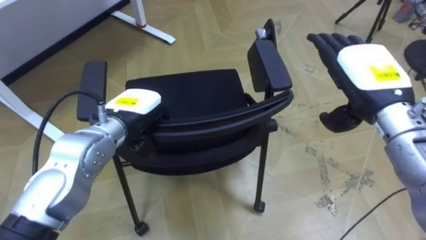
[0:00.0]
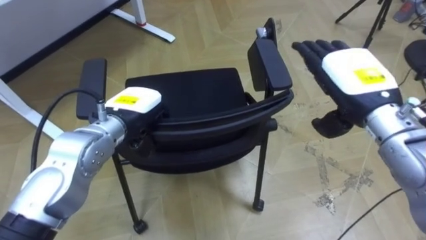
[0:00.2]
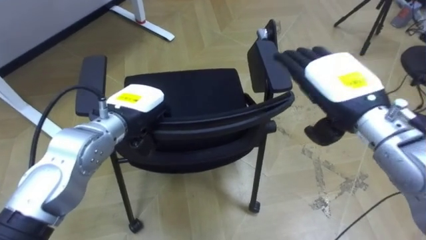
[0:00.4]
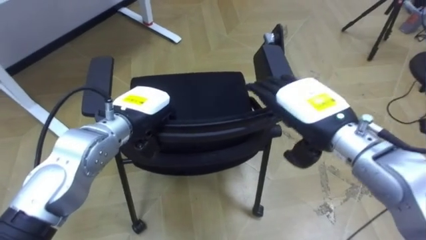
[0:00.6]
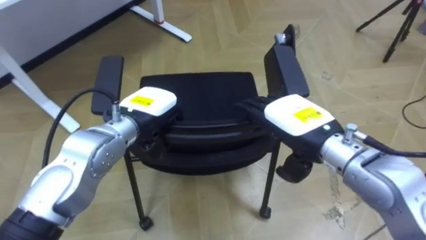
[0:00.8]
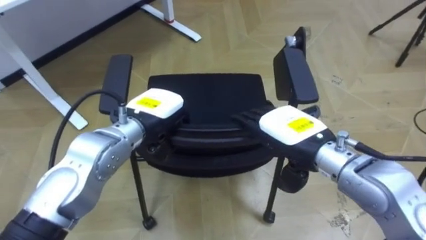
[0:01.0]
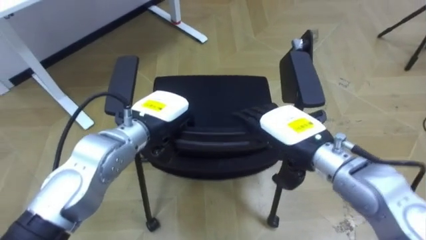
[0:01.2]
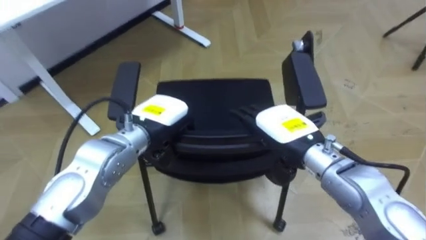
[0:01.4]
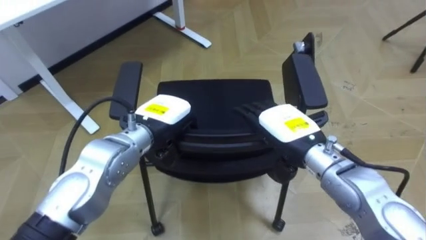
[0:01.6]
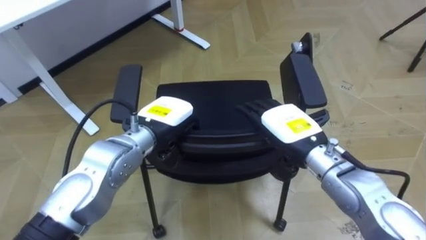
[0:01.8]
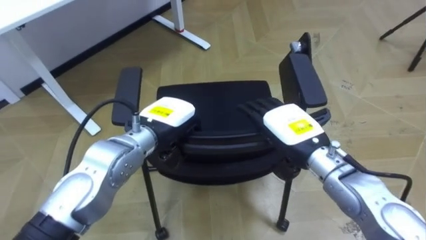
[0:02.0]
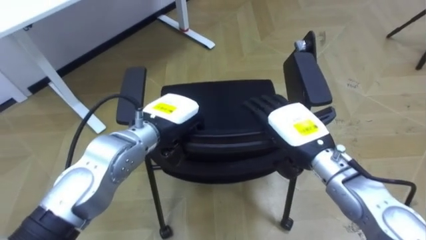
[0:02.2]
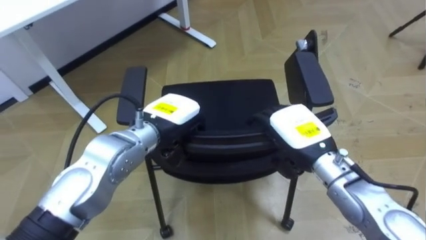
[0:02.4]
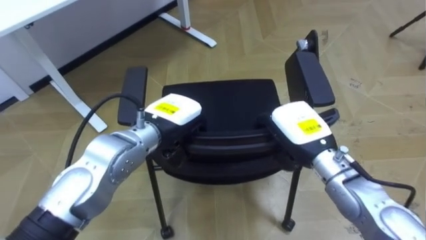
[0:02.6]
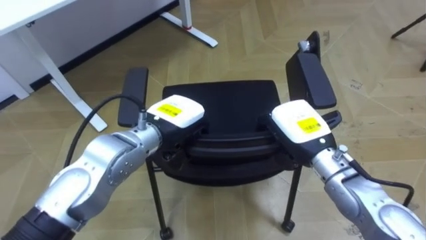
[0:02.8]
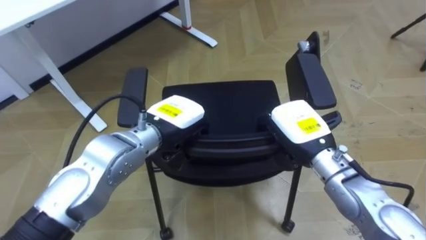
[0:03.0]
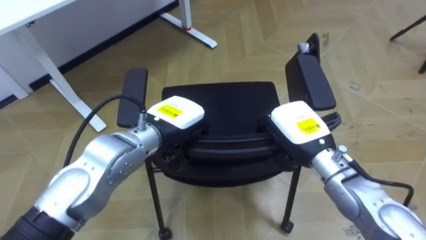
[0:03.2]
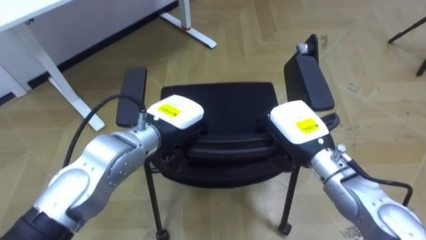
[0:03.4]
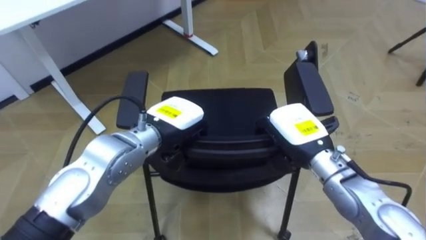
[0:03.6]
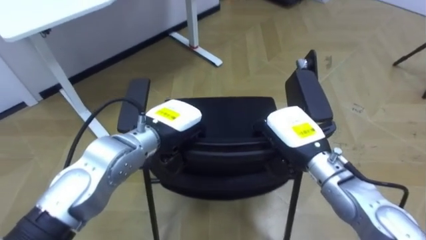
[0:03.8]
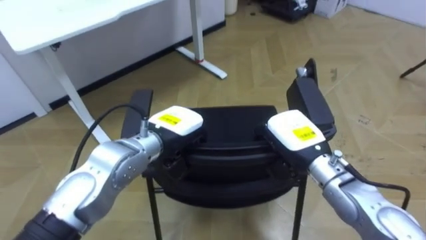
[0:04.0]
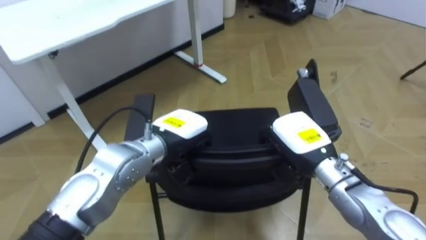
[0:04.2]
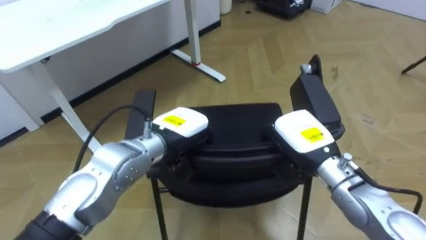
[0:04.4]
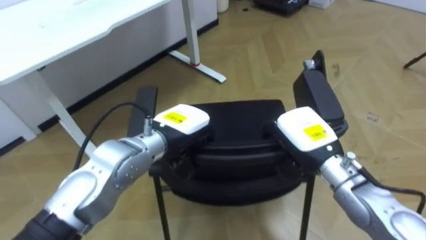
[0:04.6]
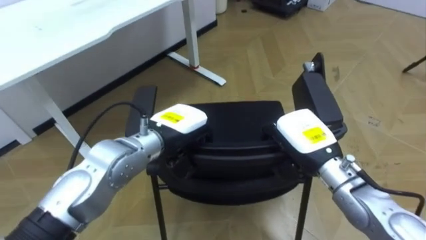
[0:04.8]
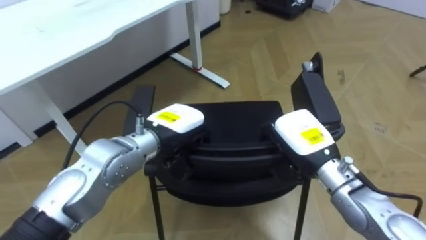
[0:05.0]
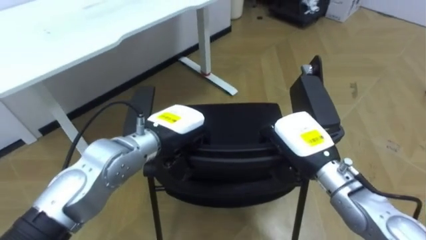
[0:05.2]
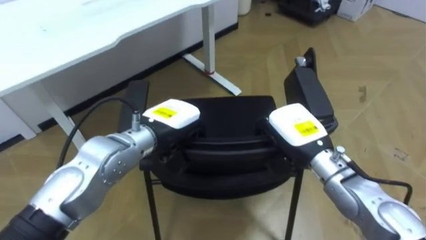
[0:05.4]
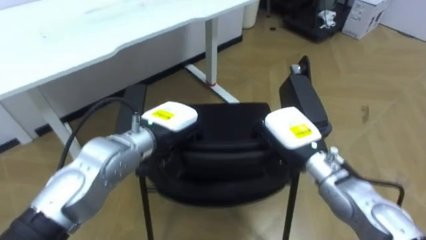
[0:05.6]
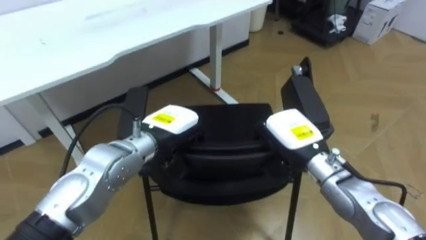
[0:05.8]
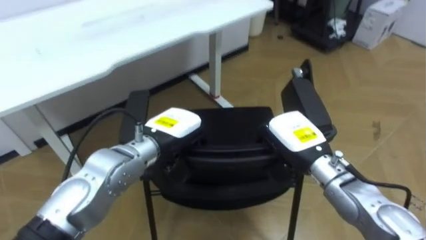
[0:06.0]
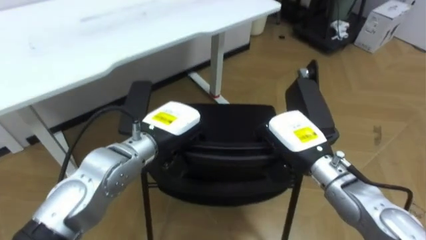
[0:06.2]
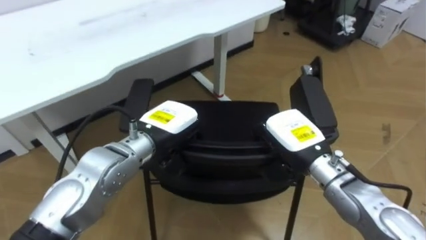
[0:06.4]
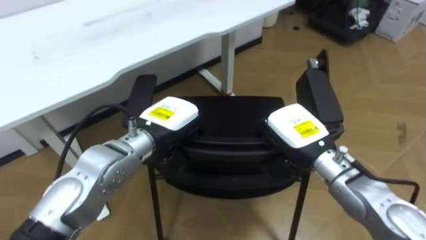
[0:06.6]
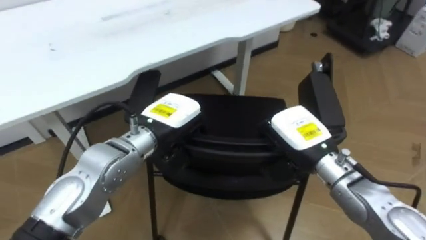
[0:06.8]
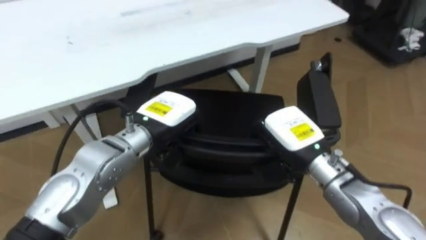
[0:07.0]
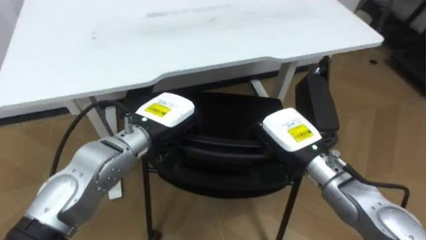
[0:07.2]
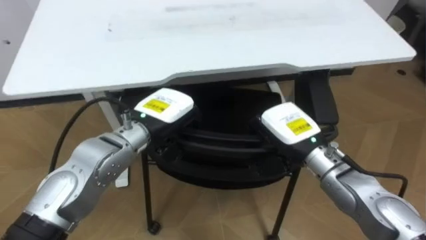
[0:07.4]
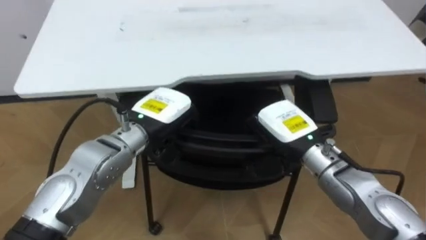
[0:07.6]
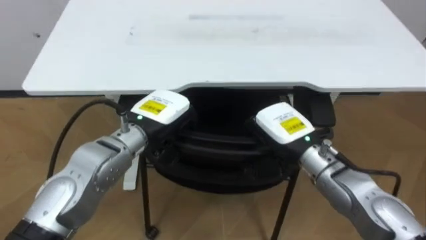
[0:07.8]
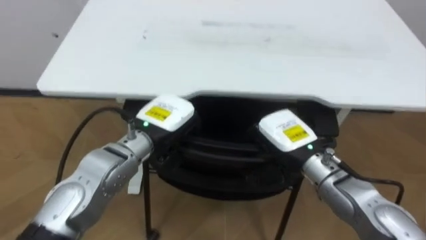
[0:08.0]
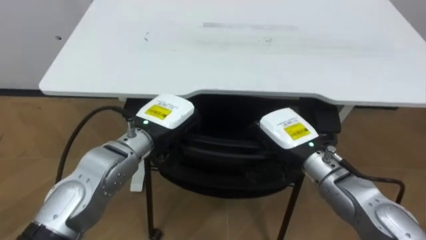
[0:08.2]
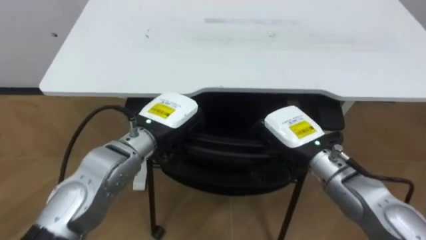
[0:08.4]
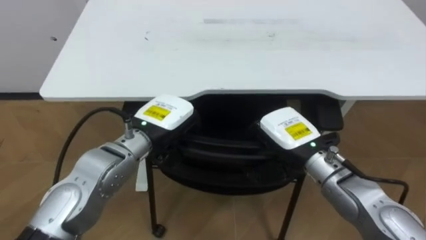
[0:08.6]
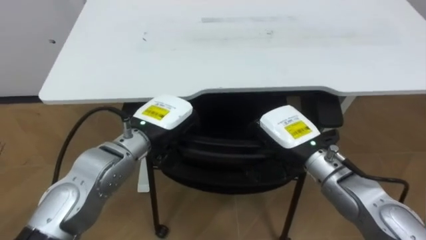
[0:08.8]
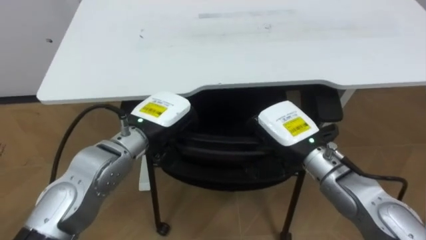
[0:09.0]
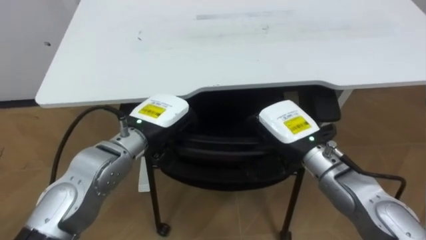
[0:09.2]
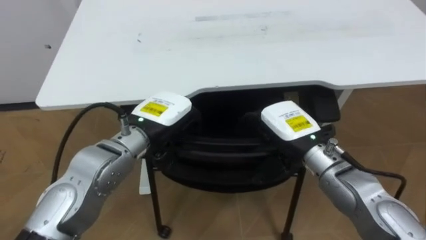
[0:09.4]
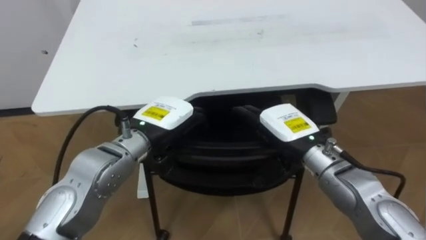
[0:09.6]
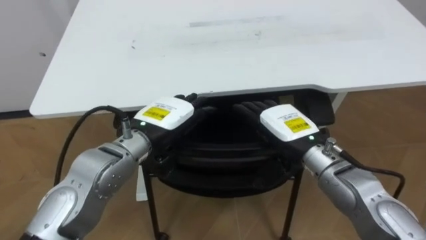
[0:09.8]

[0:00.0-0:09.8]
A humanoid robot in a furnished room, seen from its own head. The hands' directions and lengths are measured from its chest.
Task of the whole recording: Push the chair under the table.
0:00.0 to 0:01.4: The right hand moves to the left and downward, some 15 cm.
0:01.4 to 0:02.8: The right hand closes its fingers.
0:07.0 to 0:08.4: The robot's body swings approximately 25 degrees to its left.
0:08.4 to 0:09.8: The right hand opens up. The left hand opens.

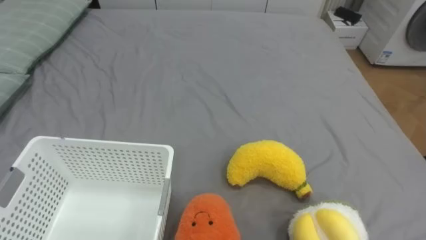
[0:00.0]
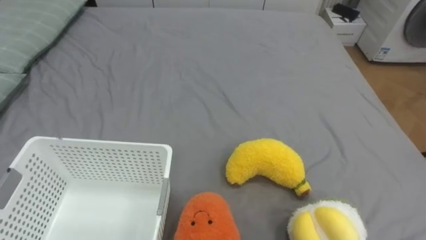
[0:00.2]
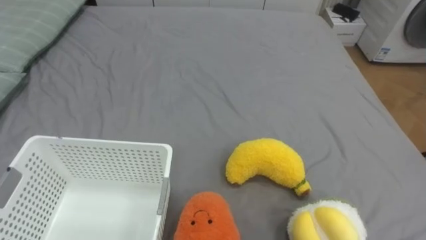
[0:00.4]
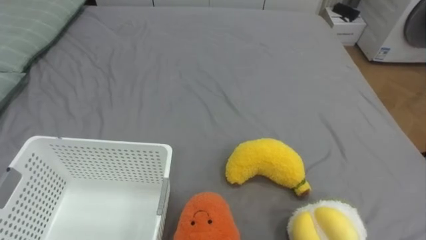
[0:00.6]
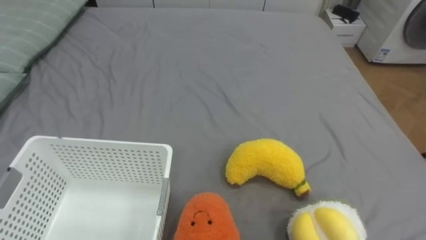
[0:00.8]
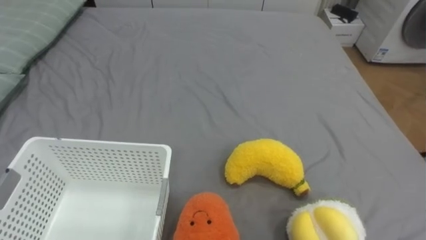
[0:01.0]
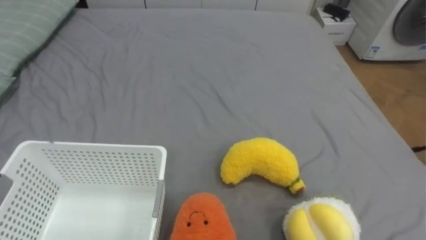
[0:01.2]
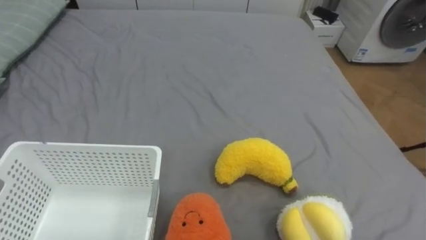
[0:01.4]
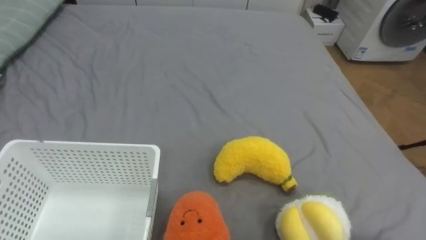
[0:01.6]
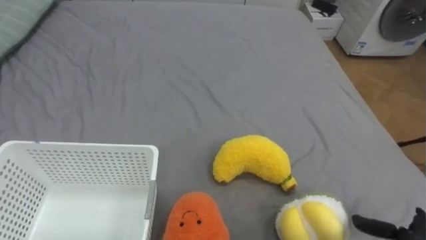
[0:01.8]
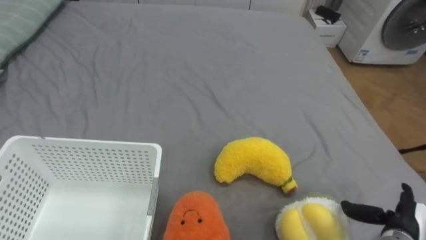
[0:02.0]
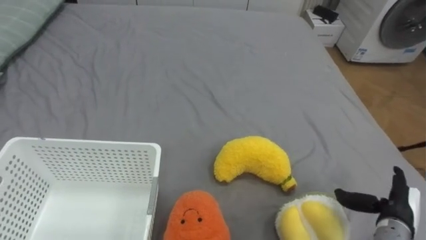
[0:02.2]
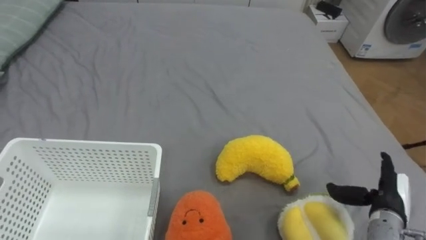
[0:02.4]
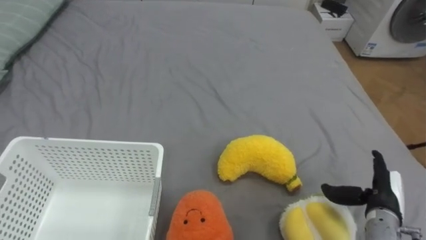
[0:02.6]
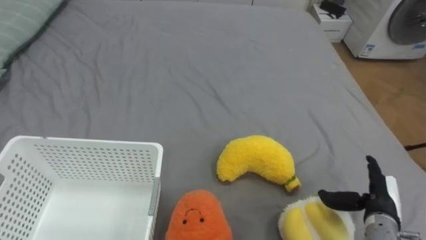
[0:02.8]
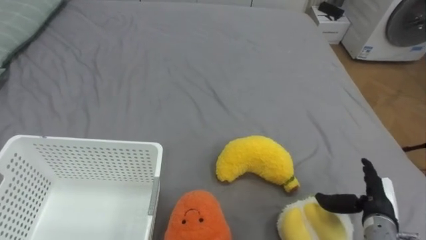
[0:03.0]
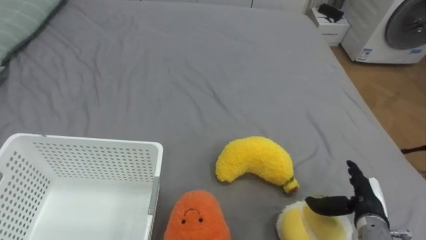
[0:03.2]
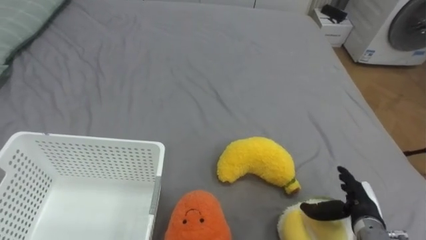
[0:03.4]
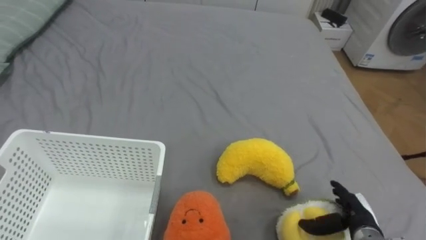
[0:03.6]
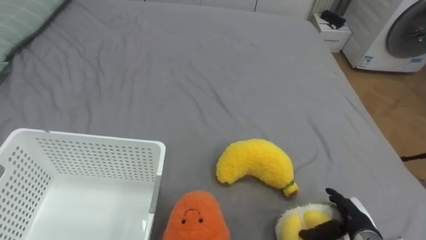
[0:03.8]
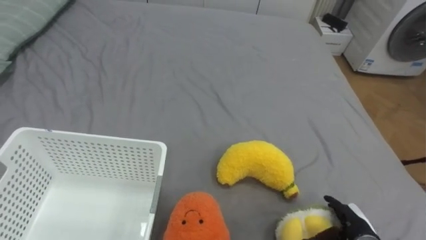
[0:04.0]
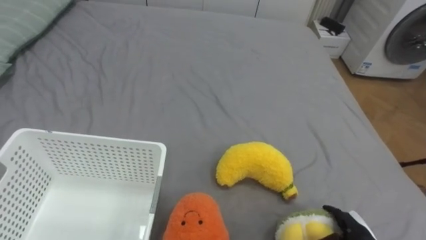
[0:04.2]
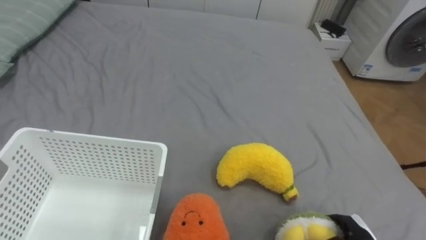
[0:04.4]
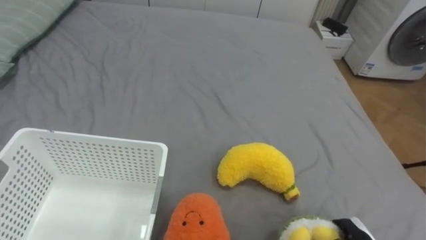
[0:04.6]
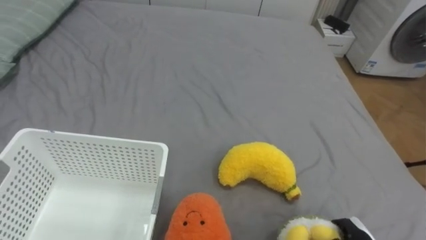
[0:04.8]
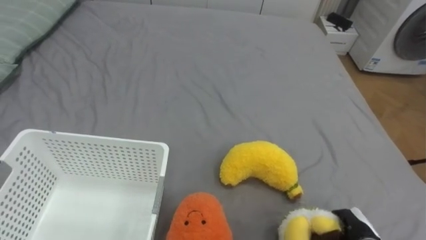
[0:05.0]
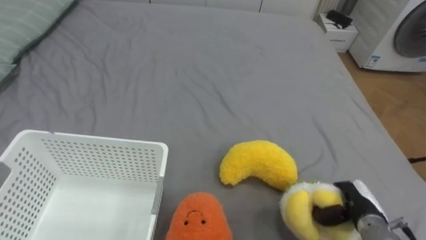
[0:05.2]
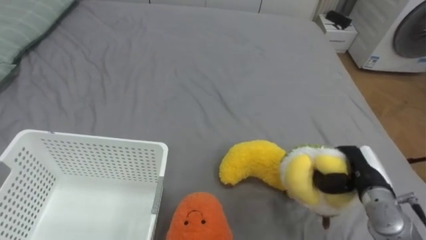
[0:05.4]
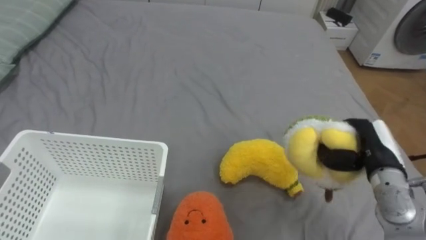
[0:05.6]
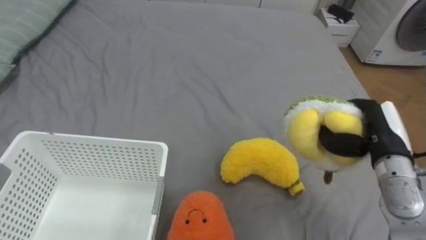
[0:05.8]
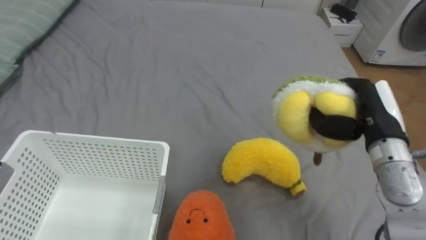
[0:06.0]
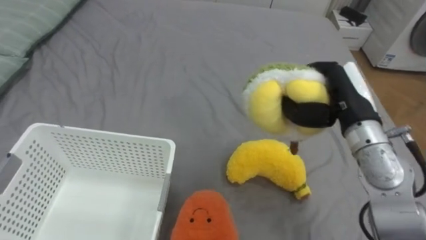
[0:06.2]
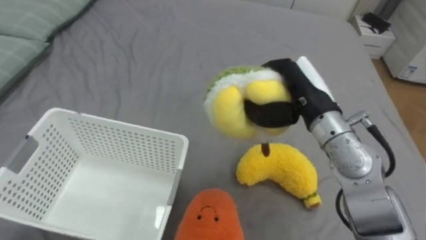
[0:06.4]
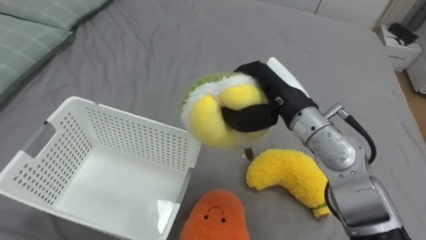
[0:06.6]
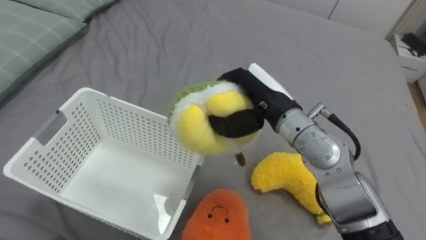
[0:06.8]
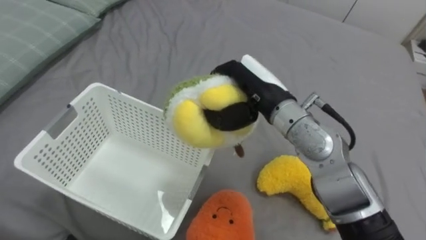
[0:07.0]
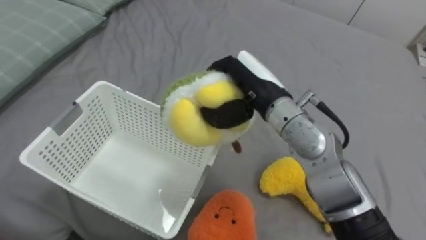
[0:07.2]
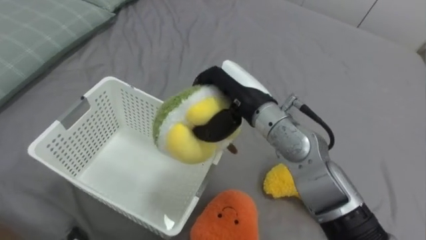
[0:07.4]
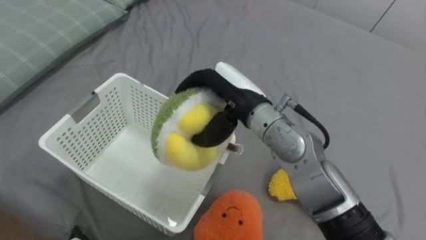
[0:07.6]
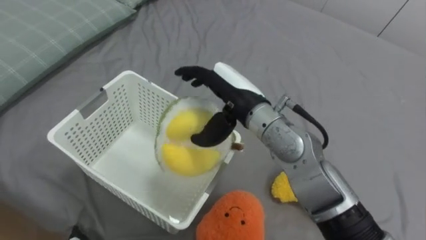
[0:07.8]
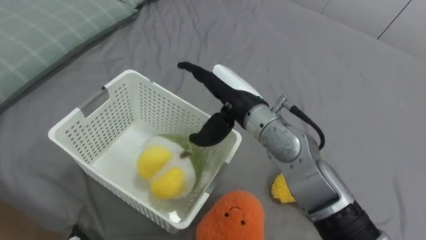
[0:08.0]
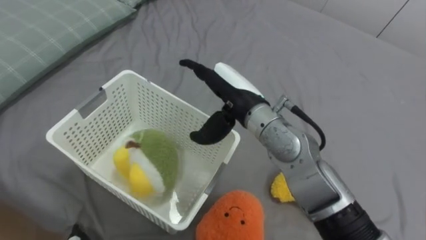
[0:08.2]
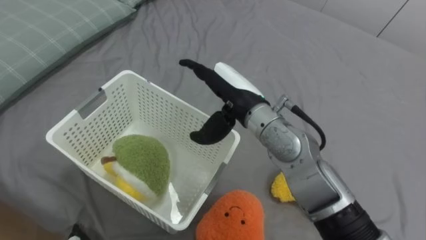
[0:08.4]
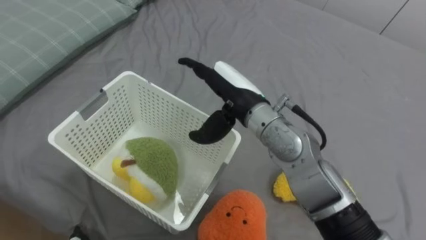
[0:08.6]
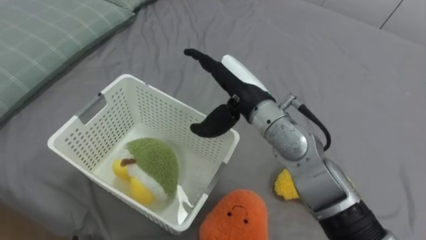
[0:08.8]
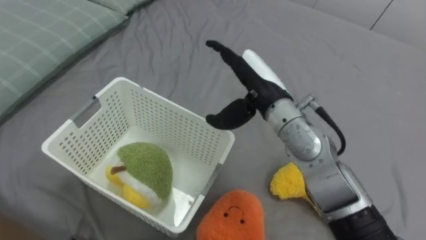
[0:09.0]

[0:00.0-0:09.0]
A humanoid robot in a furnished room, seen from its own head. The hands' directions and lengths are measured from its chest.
Task of the whole recording: Put the toys on the bed into the basket on the left.
0:03.0 to 0:04.4: The right hand travels downward and backward by approximately 10 cm, and closes.
0:06.0 to 0:07.6: The right hand shifts some 25 cm to the left, and opens its fingers.
